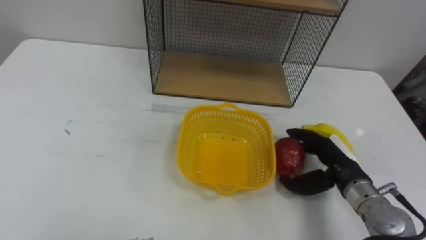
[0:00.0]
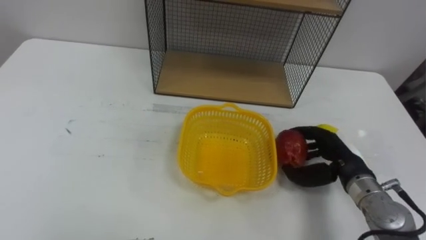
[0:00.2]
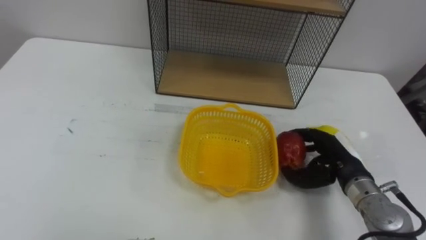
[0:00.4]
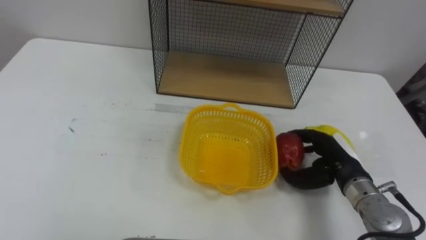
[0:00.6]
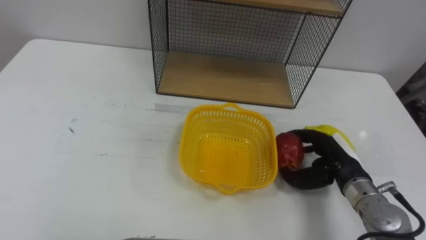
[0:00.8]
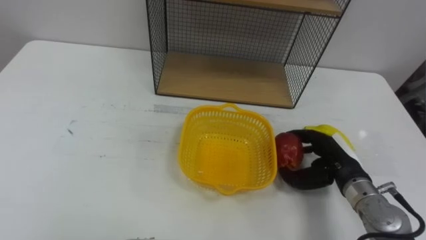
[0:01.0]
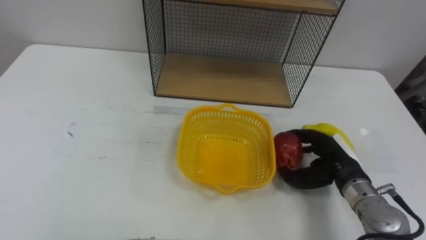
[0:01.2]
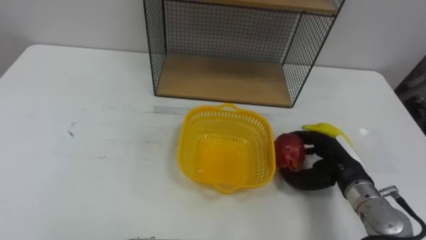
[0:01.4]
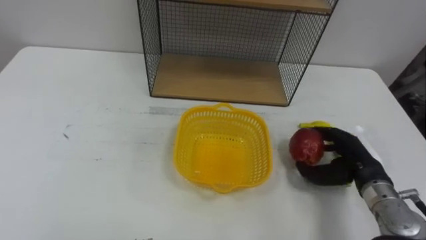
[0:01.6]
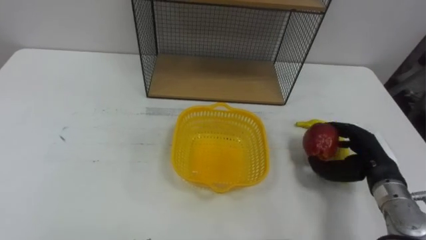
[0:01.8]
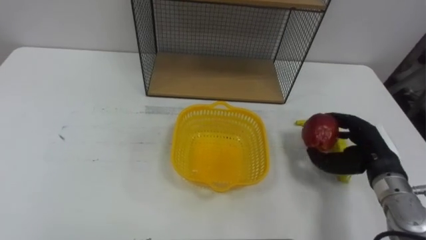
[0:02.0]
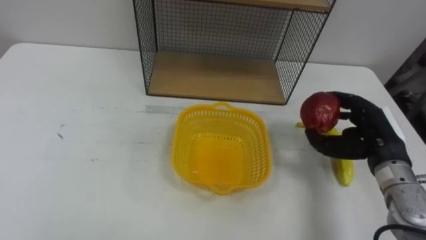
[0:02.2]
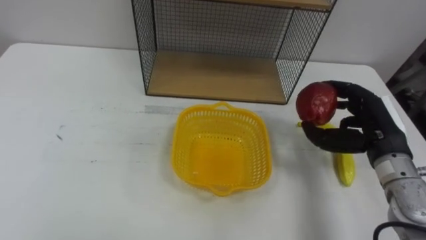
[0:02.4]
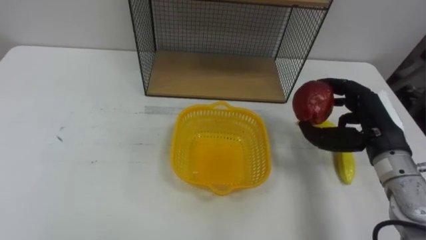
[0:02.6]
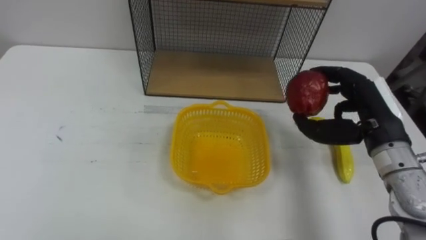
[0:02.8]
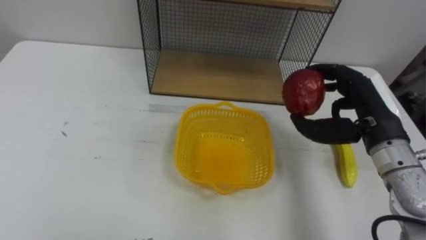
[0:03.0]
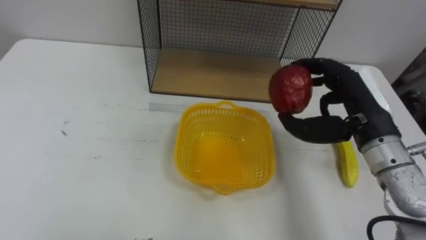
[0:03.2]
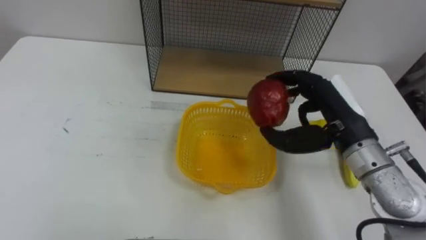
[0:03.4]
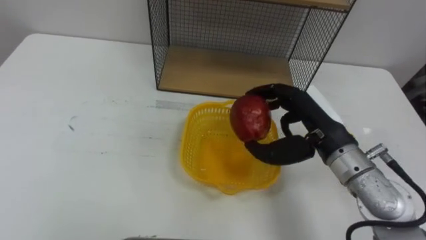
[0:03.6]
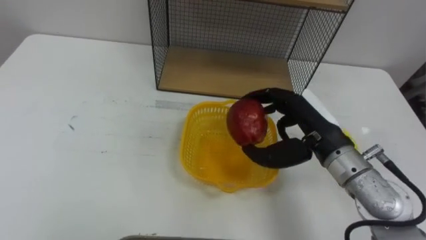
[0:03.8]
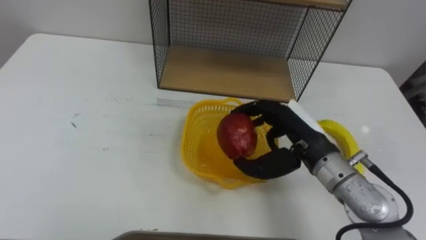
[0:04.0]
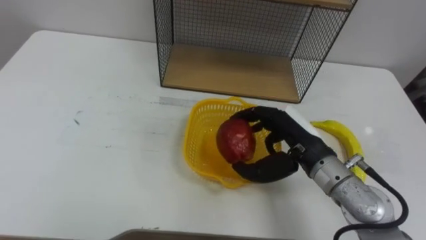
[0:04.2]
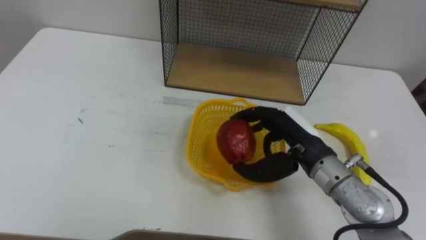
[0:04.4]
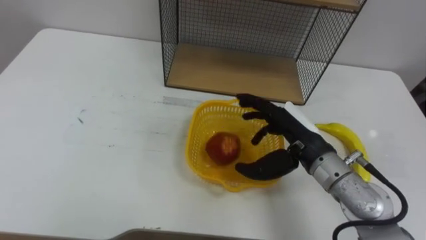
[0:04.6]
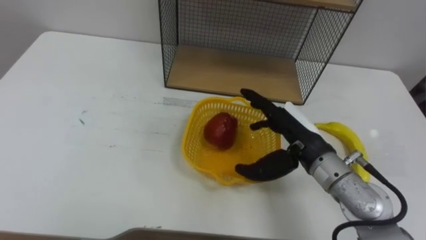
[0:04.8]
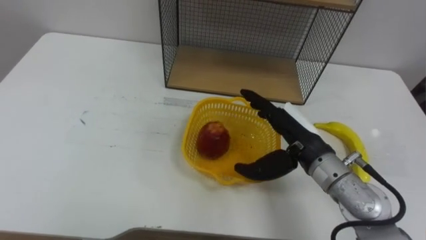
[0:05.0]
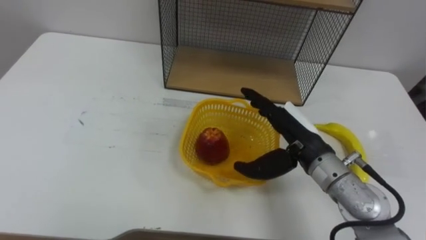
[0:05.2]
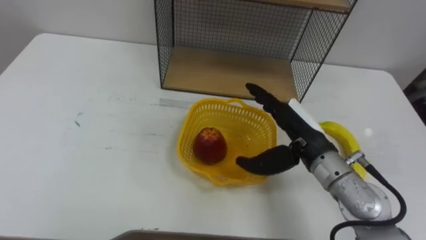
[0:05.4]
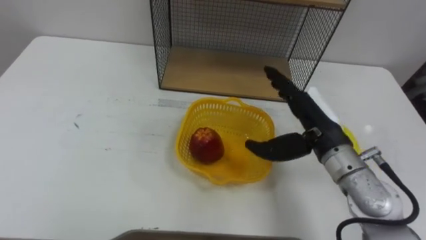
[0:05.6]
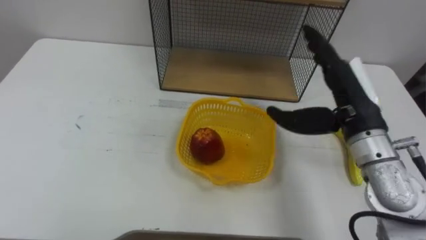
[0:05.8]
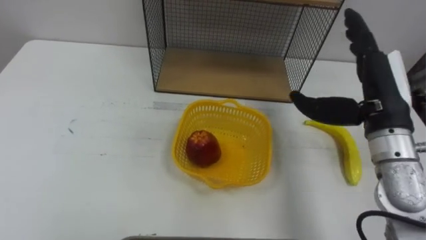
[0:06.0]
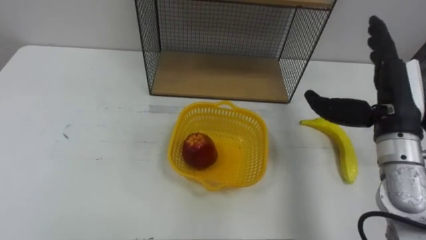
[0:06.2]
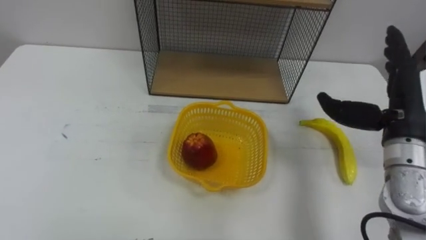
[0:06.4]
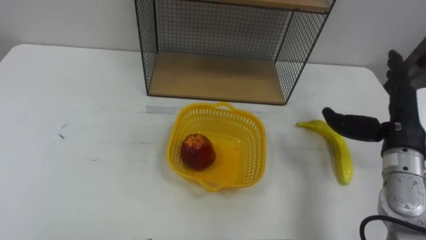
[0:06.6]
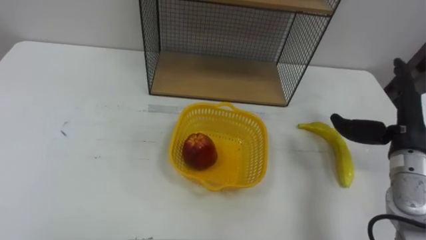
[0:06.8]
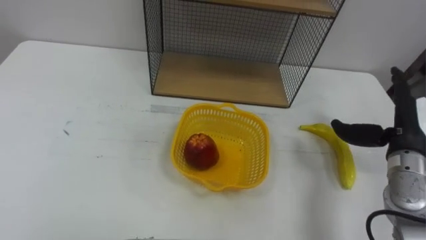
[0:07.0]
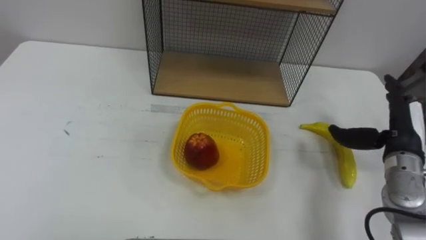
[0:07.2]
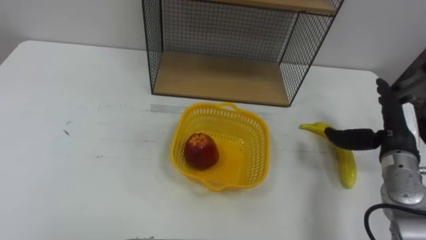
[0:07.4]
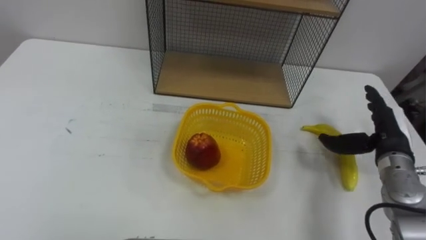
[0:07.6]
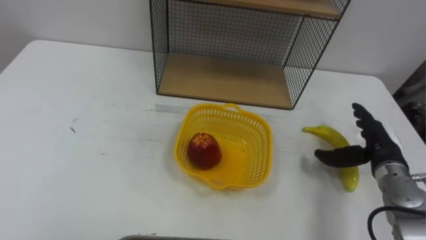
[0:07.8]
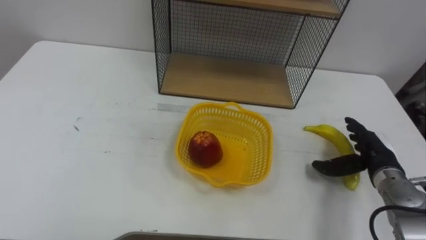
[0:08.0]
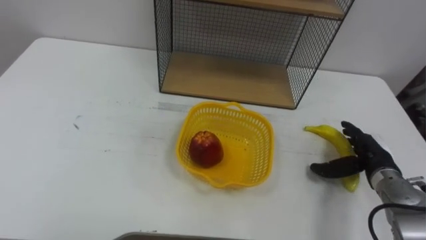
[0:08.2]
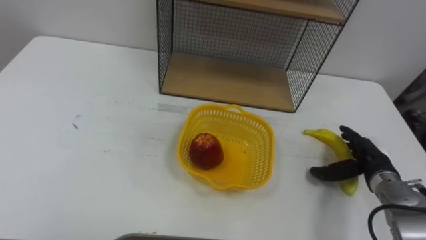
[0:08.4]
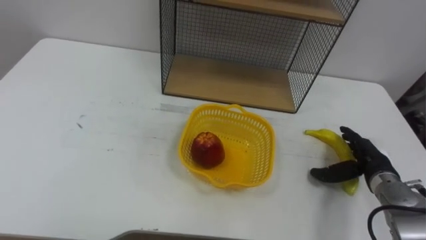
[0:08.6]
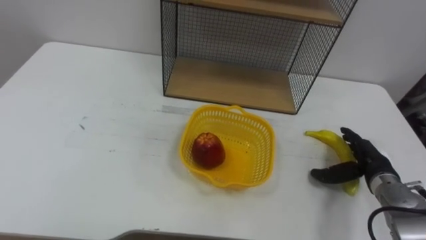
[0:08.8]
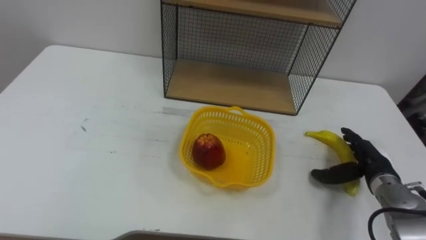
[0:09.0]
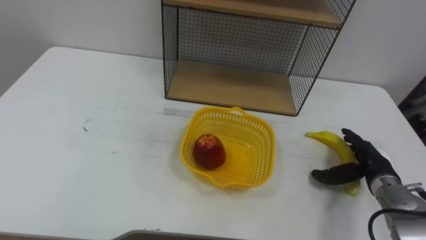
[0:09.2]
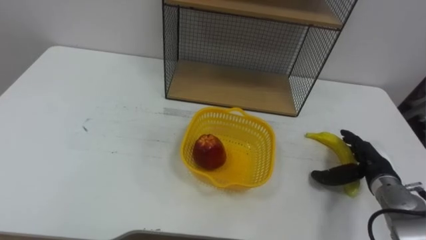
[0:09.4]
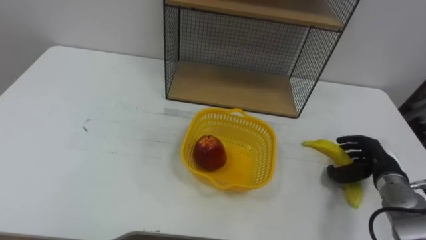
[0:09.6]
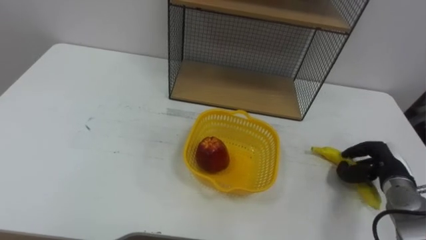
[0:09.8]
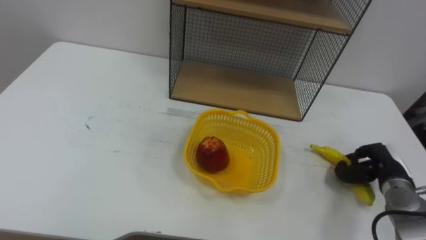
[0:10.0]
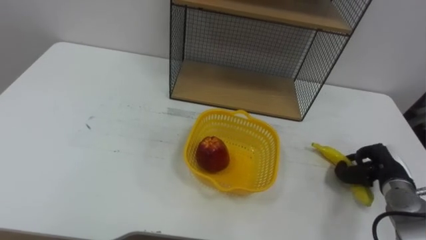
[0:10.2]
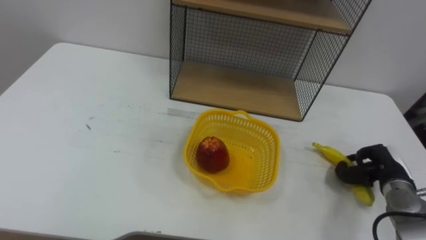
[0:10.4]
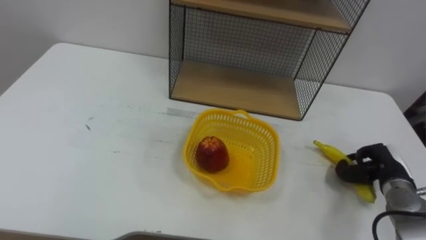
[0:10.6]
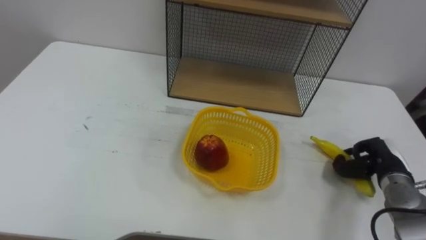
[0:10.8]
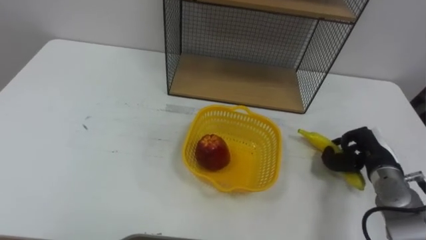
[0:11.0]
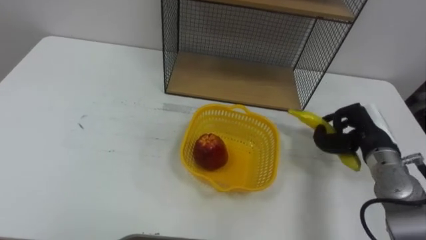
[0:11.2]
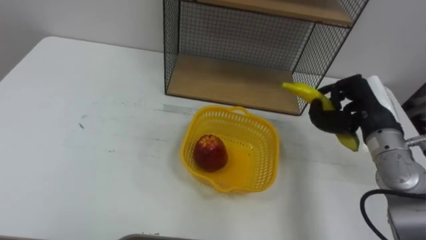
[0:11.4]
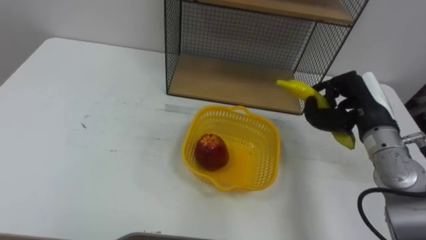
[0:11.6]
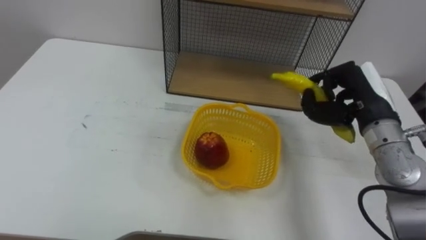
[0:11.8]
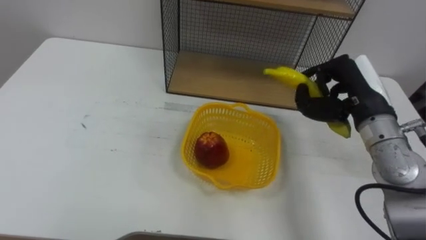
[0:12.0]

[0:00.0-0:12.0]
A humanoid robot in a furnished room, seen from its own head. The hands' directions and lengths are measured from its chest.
Task of the whole recording: Put the fruit on the table into the basket, then place the basket on the shelf.
0:01.6 to 0:03.0: The right hand travels upward by roughly 15 cm.
0:03.0 to 0:04.4: The right hand moves to the left, about 10 cm.
0:04.4 to 0:06.0: The right hand heads to the right and upward, covering roughly 15 cm, and opens.
0:06.0 to 0:07.6: The right hand is displaced downward and to the right by approximately 15 cm.
0:07.6 to 0:09.0: The right hand heads downward, covering about 10 cm.
0:09.0 to 0:10.4: The right hand closes.
0:10.4 to 0:12.0: The right hand is displaced upward and to the left by roughly 20 cm.

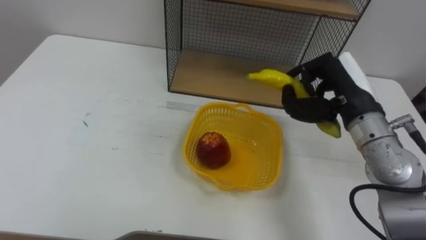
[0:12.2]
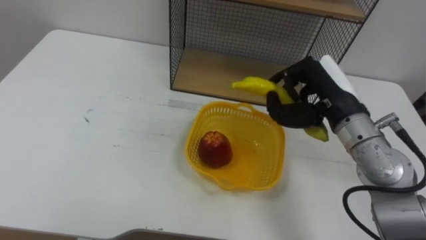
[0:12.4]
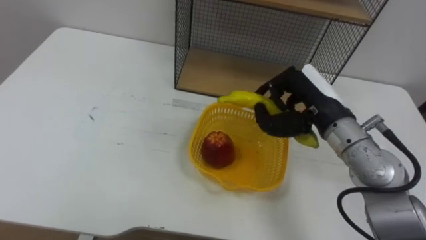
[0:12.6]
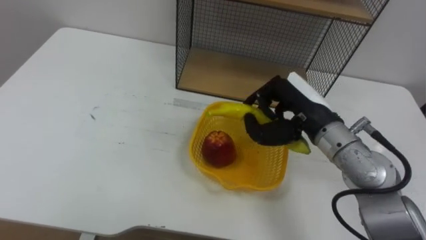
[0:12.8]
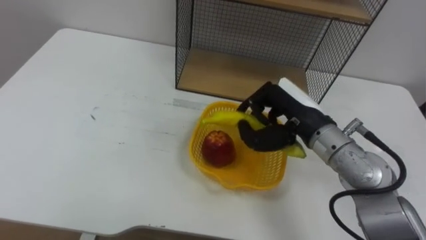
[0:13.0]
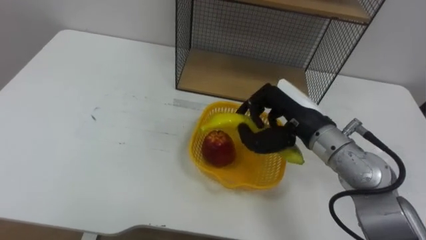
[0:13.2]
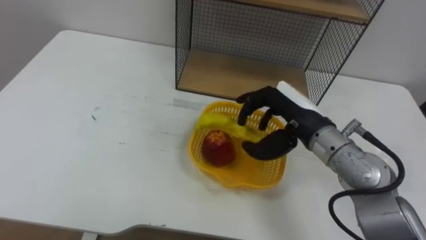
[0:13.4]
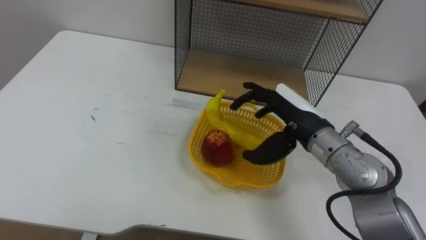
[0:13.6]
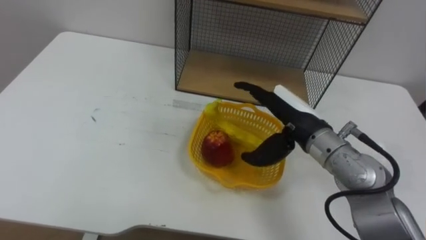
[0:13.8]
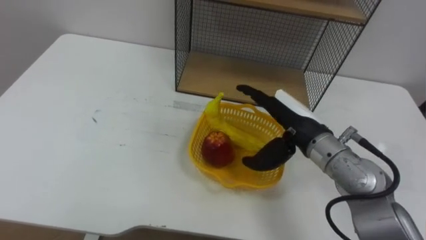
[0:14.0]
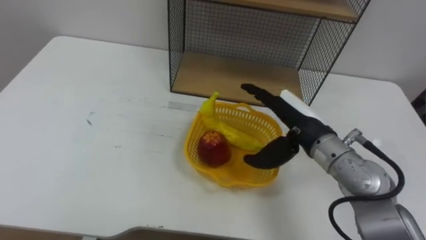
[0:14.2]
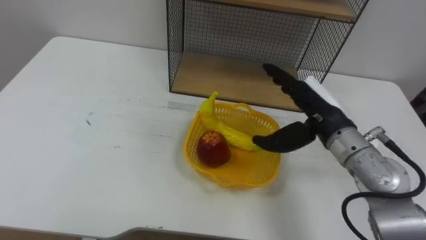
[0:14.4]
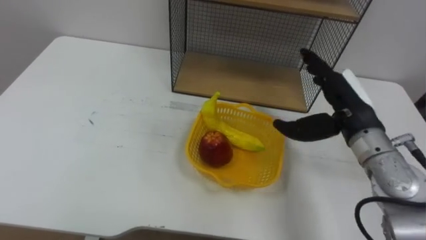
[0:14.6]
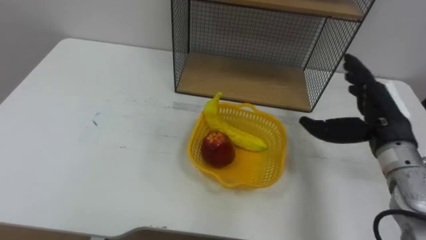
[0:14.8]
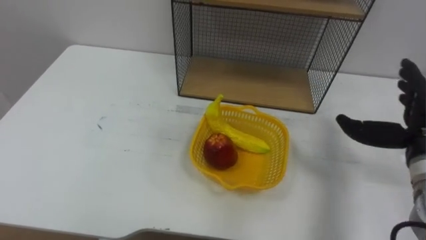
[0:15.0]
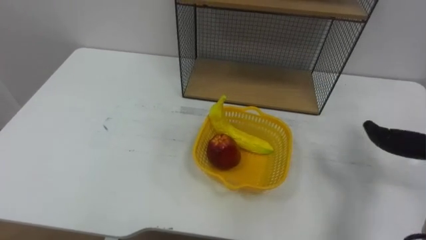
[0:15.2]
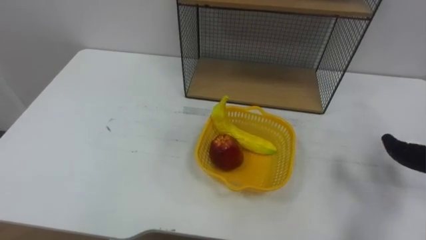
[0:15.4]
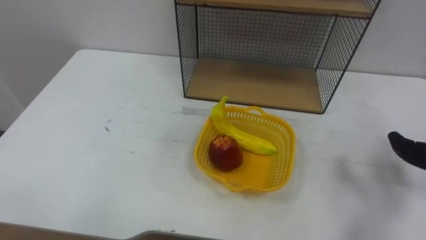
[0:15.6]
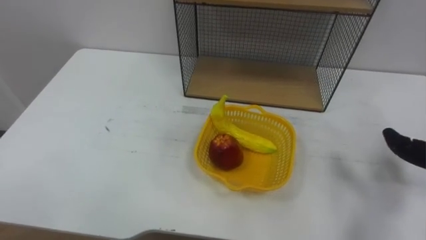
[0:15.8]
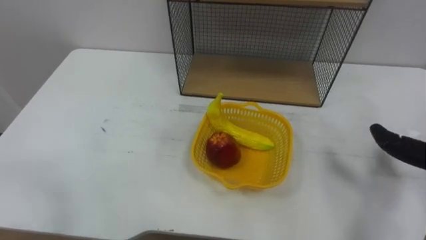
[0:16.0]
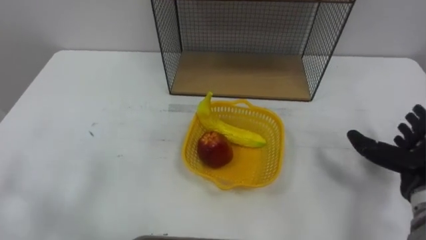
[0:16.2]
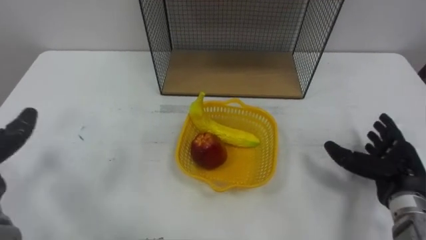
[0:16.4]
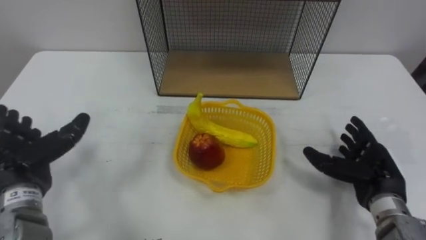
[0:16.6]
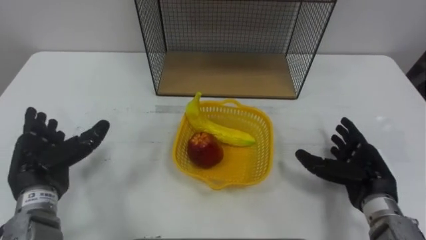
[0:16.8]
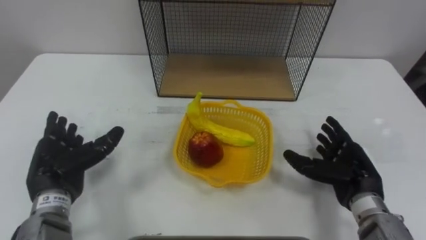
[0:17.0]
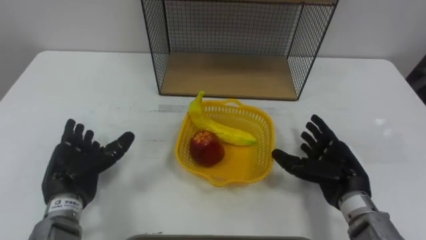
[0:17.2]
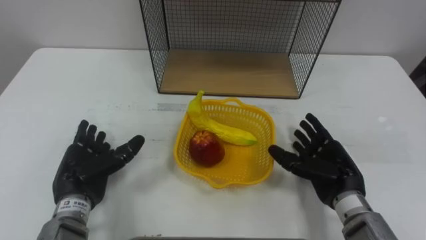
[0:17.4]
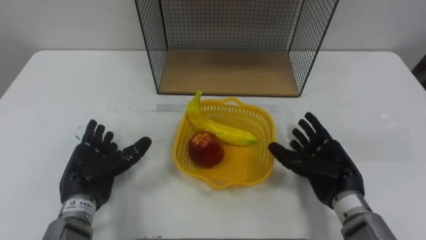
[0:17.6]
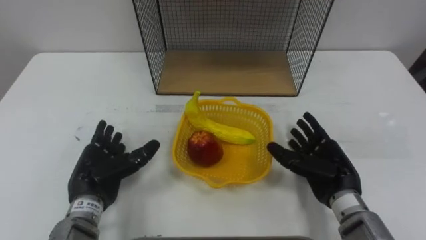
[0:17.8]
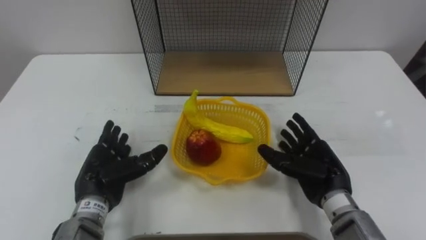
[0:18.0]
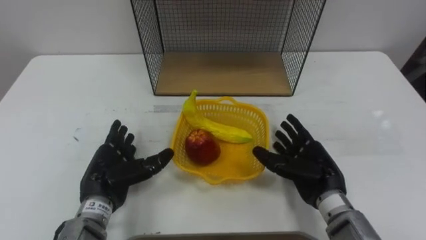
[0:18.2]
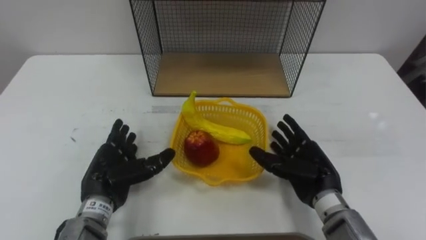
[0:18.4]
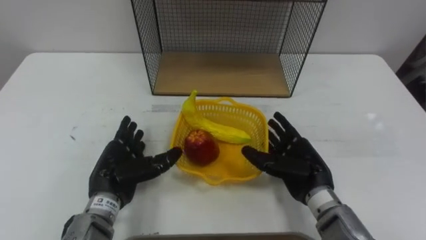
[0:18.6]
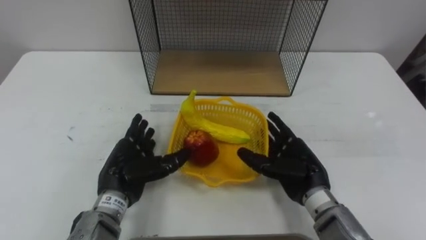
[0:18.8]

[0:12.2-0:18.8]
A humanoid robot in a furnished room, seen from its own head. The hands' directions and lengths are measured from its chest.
Task of the whole recording: Put the fruit on the table into the basket, then place the basket on the shelf.
0:12.2 to 0:13.8: The right hand moves to the left, about 10 cm, and opens.
0:17.2 to 0:18.8: The left hand moves to the right, roughly 10 cm. The right hand heads to the left, covering approximately 5 cm.
